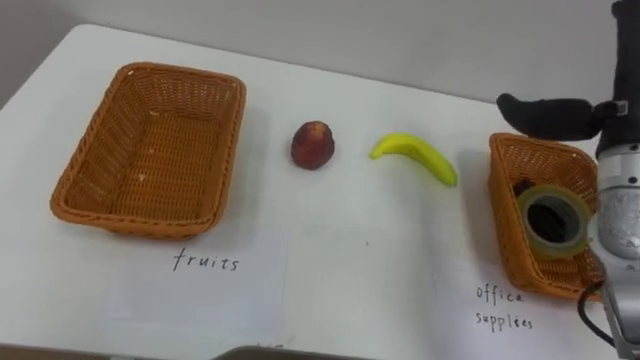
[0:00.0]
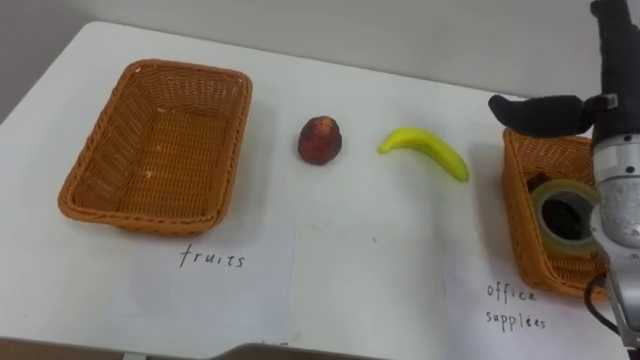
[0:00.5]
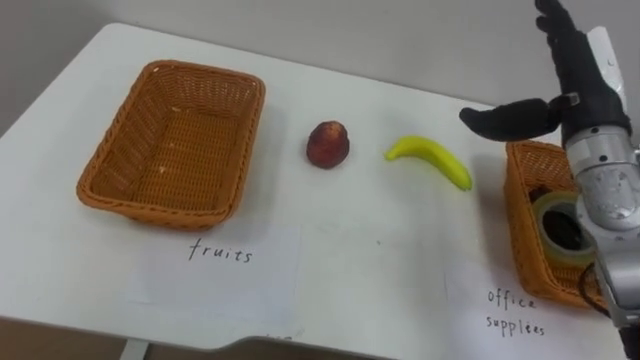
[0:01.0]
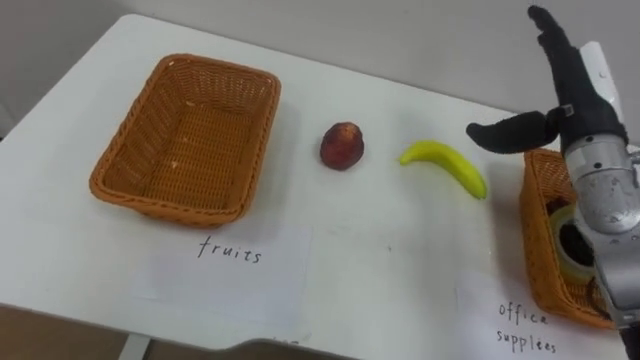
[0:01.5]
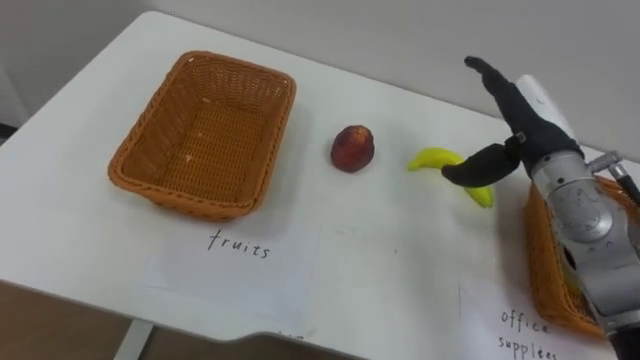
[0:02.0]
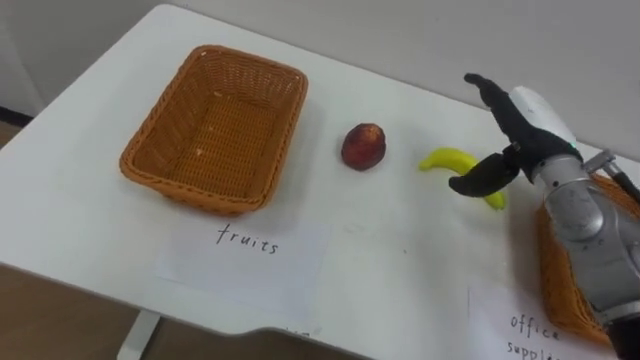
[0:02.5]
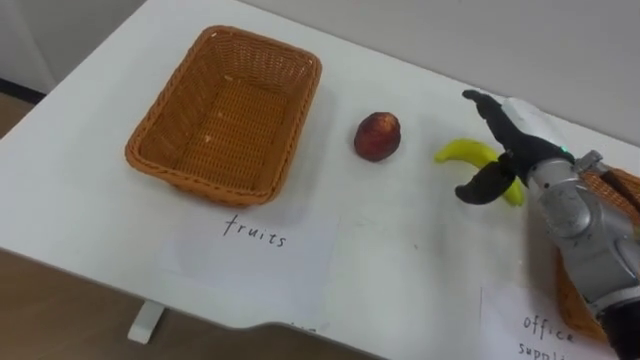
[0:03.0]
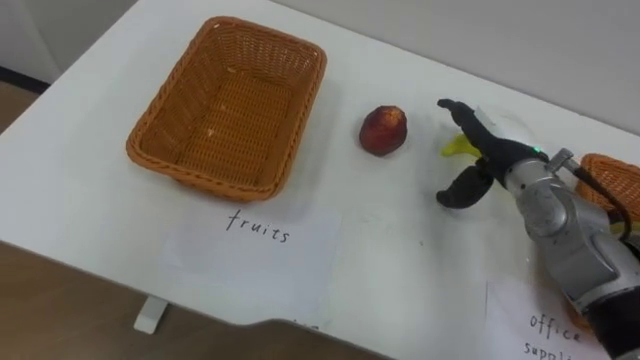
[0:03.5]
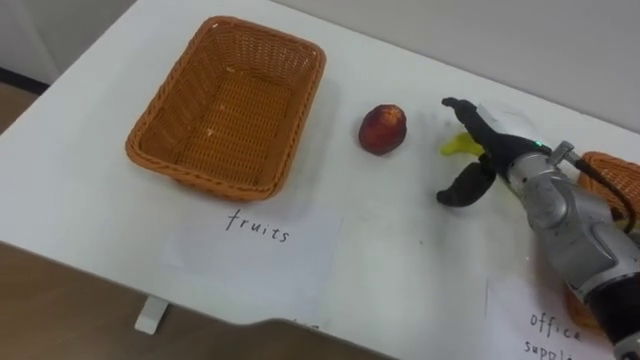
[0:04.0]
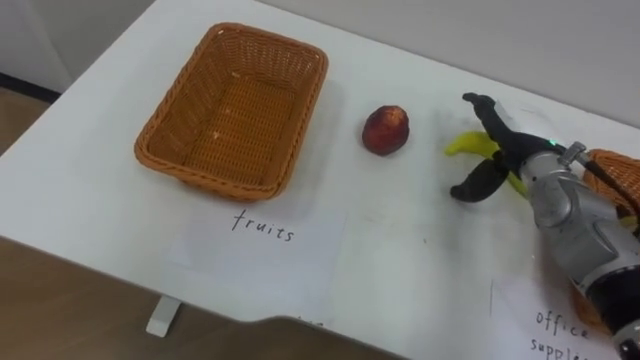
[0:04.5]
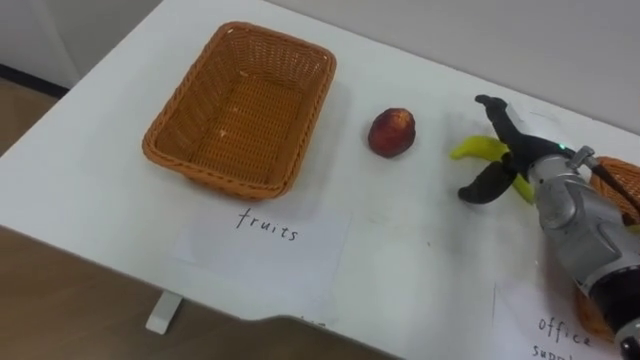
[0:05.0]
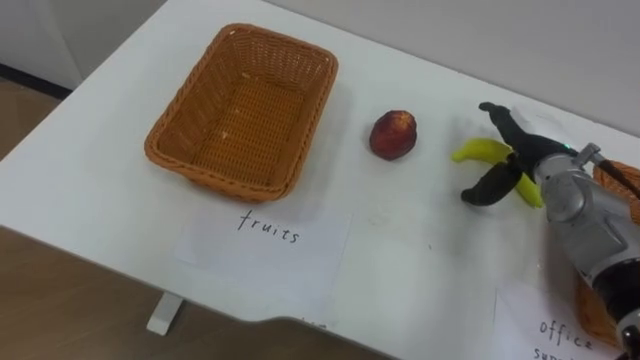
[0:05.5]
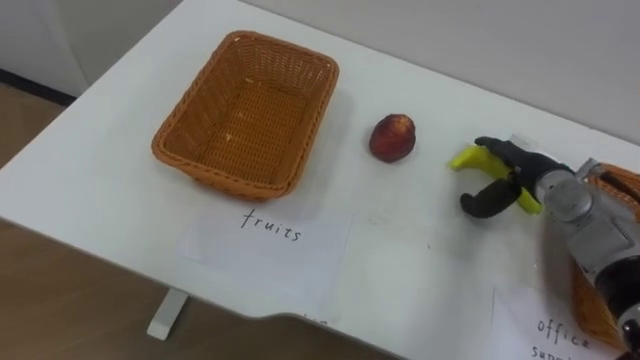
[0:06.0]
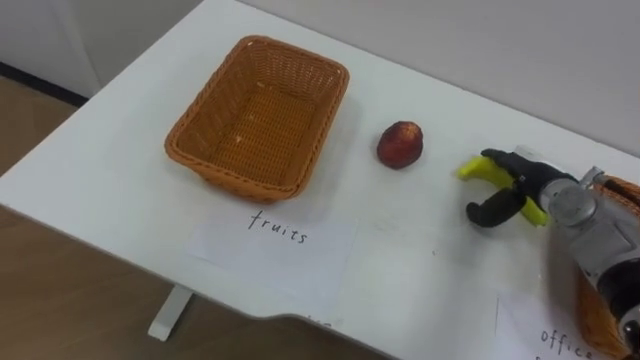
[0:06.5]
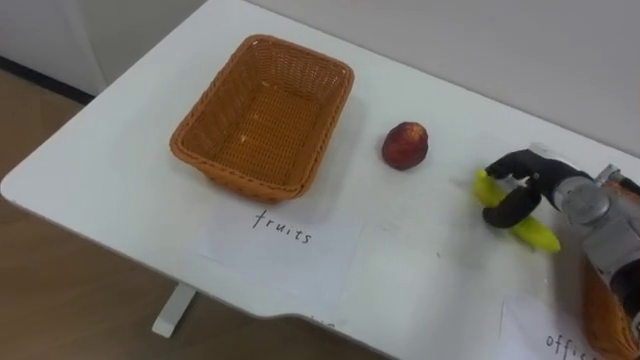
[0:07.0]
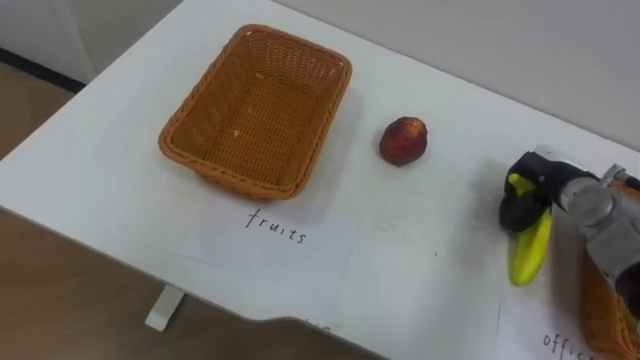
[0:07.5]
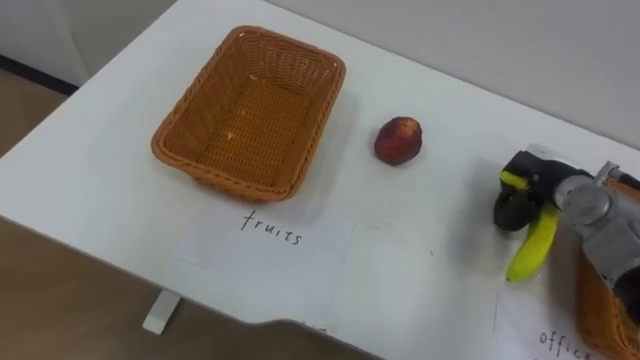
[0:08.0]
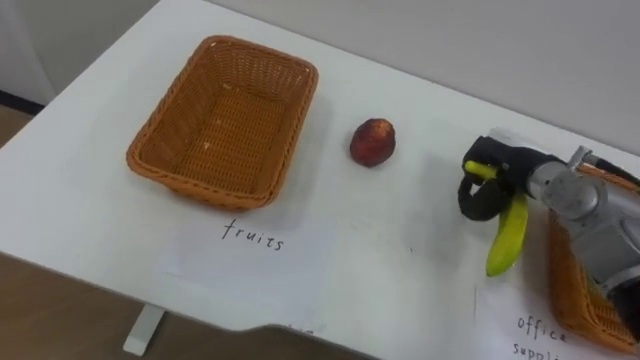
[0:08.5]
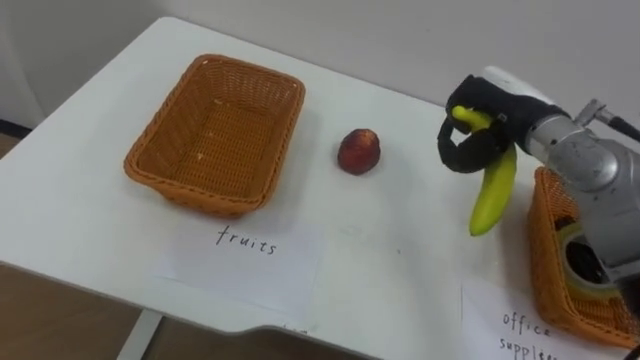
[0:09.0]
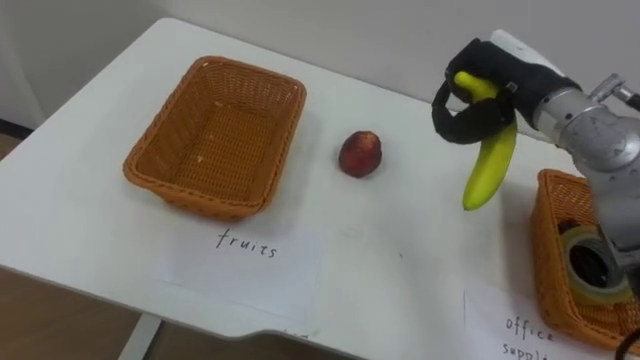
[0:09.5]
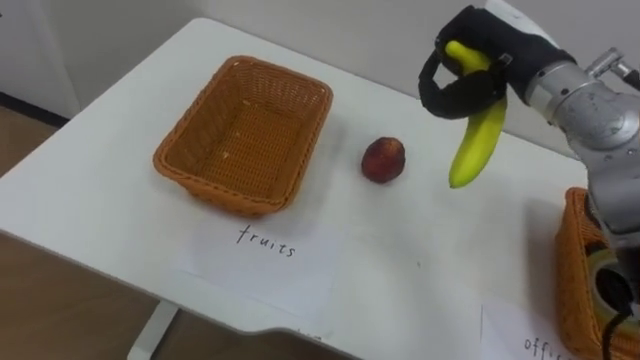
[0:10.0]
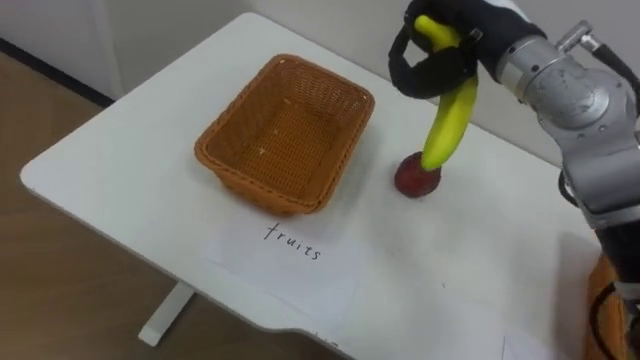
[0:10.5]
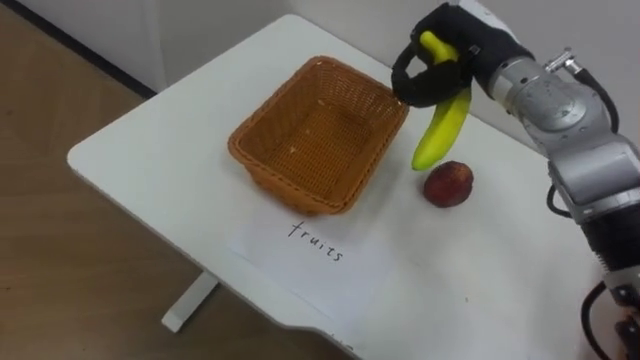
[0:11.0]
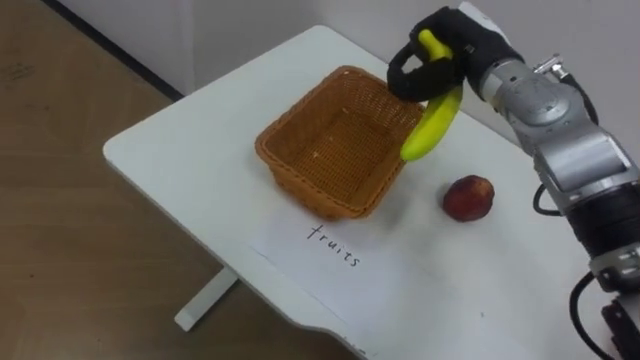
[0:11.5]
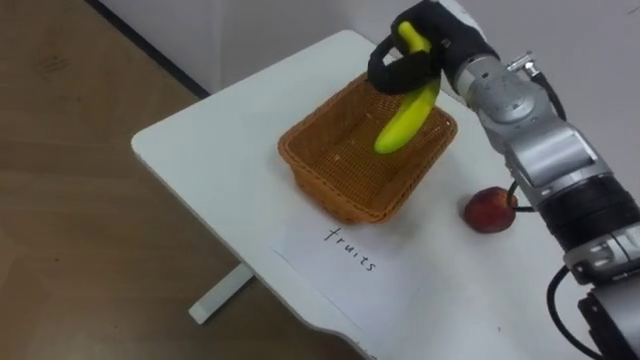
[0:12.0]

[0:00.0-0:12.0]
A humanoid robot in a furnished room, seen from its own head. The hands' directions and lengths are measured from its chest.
Task of the whole recording: Separate the items on the table and place them into the two baskets.
0:00.0 to 0:02.0: The right hand goes approximately 10 cm downward and to the left.
0:02.0 to 0:04.0: The right hand ends up about 5 cm from where it was.
0:04.0 to 0:06.0: The right hand travels to the right and downward by roughly 5 cm.
0:06.0 to 0:08.0: The right hand closes.
0:08.0 to 0:10.0: The right hand goes roughly 20 cm upward and to the left.
0:10.0 to 0:12.0: The right hand shifts about 5 cm to the left.

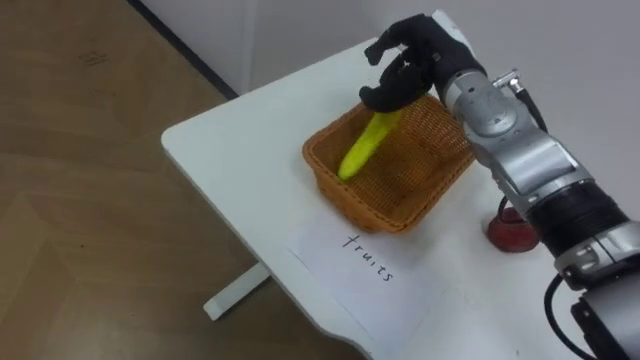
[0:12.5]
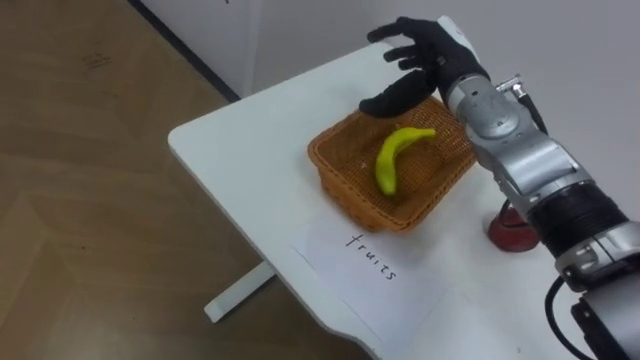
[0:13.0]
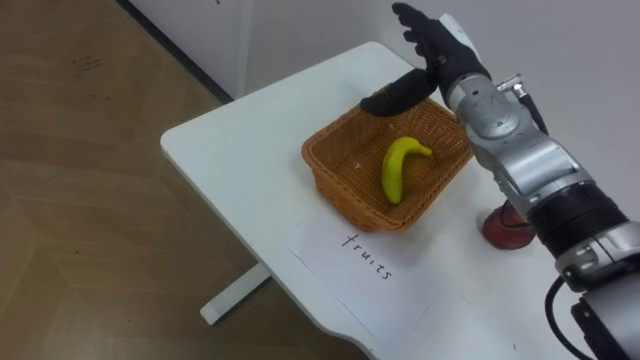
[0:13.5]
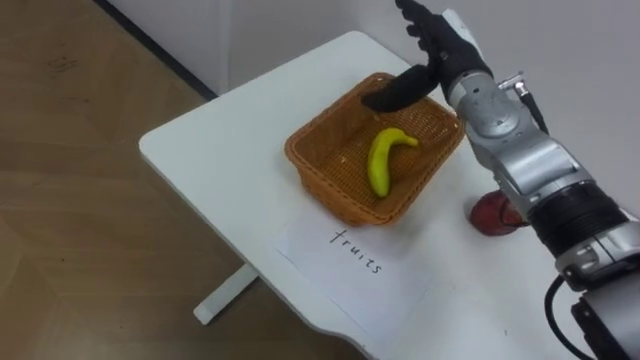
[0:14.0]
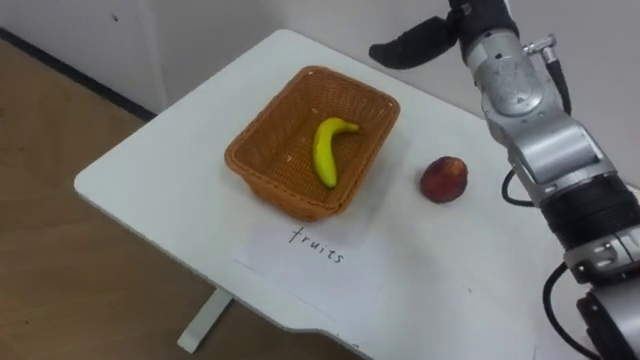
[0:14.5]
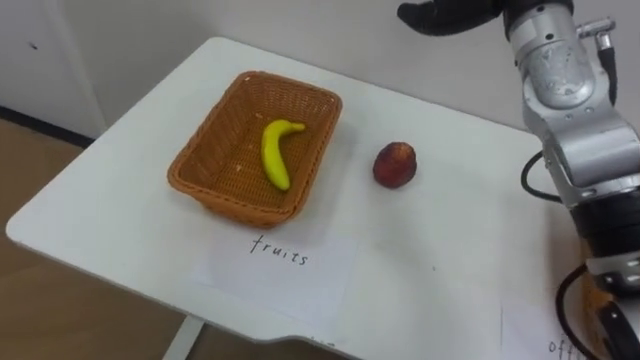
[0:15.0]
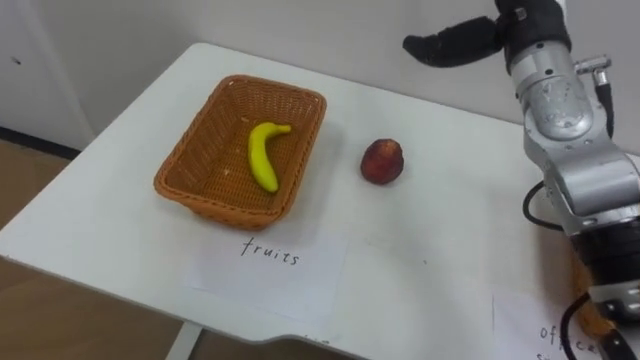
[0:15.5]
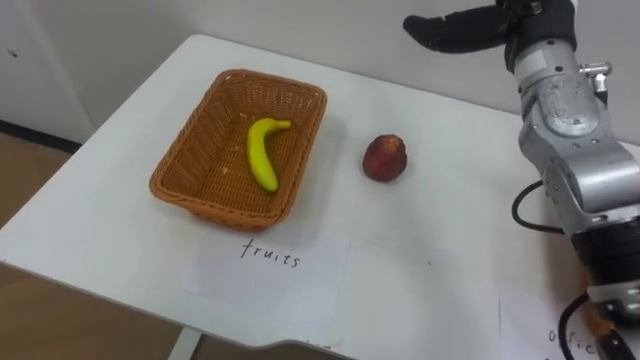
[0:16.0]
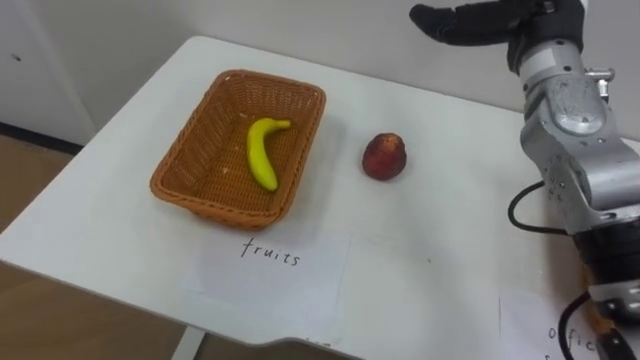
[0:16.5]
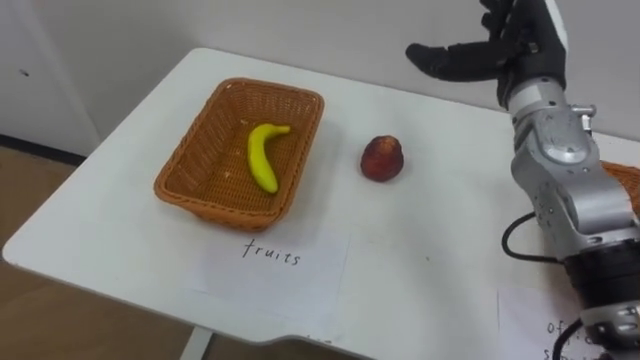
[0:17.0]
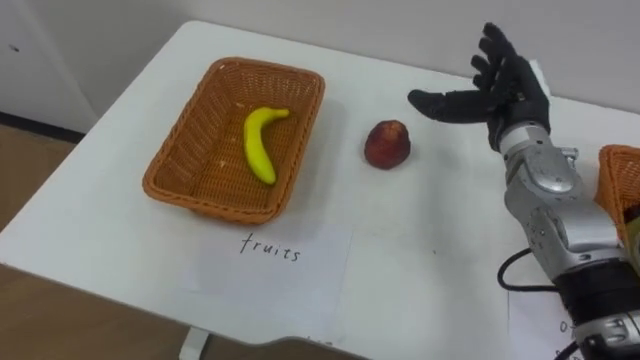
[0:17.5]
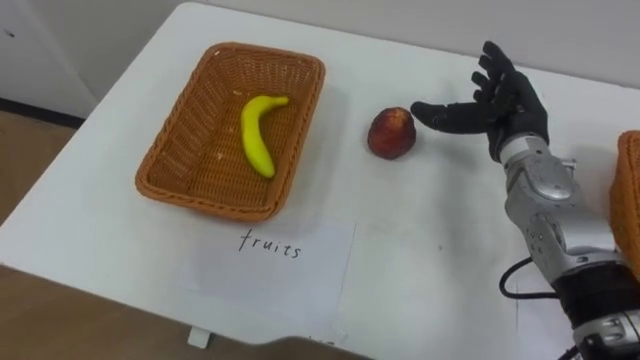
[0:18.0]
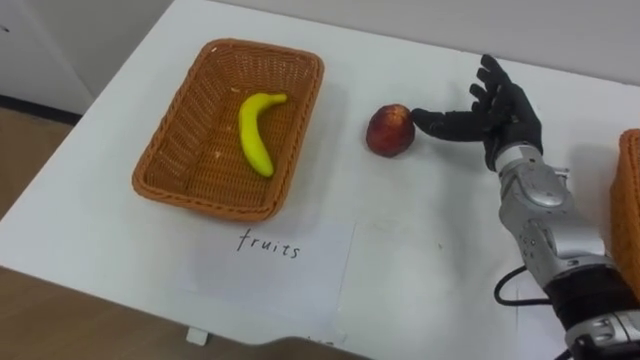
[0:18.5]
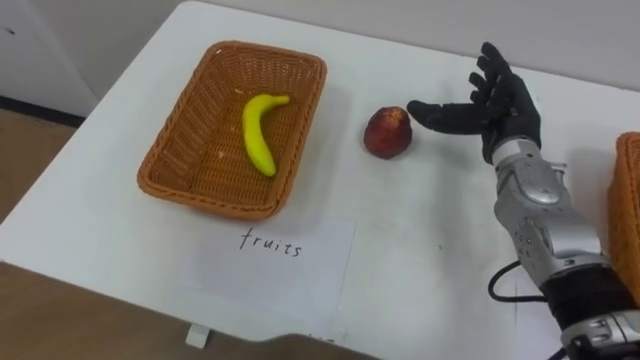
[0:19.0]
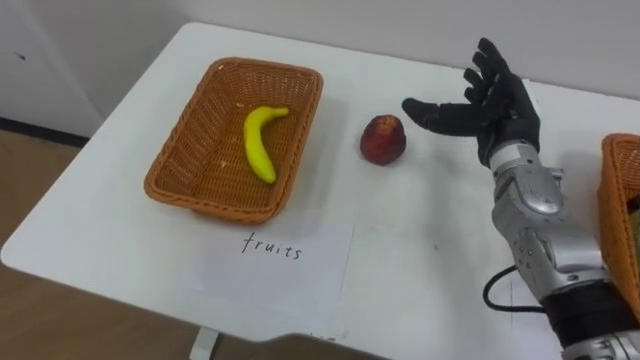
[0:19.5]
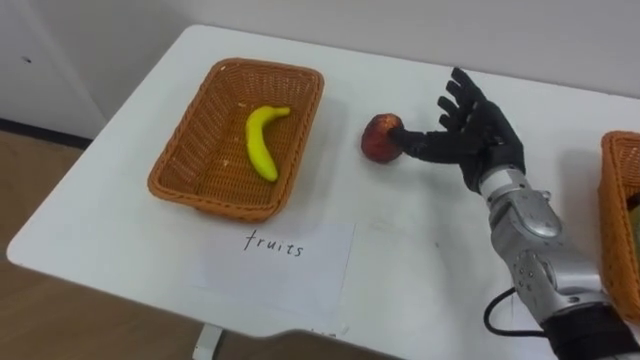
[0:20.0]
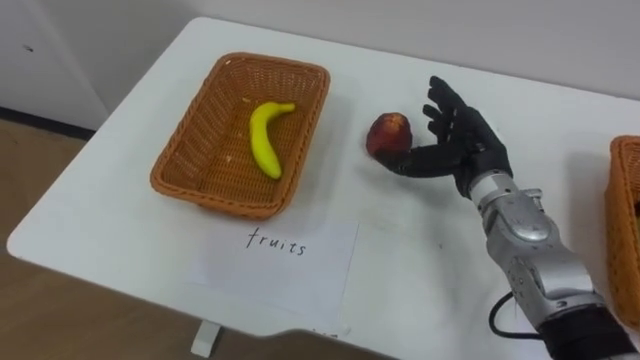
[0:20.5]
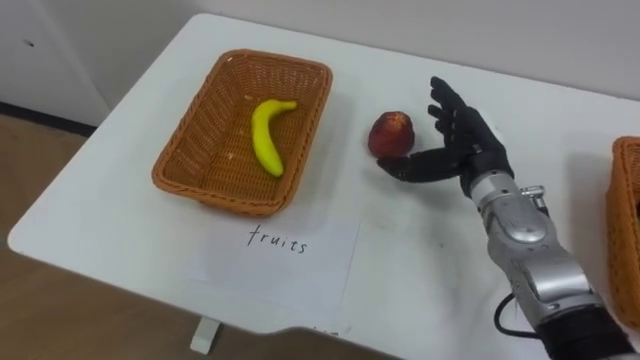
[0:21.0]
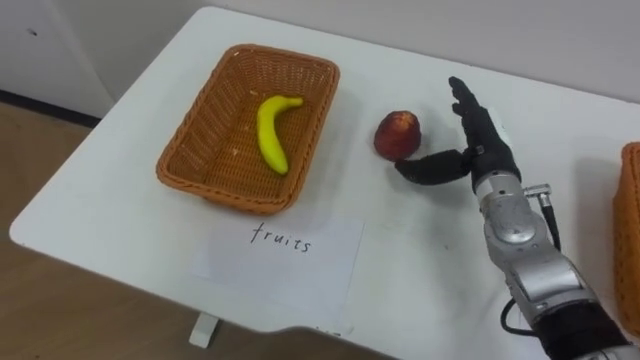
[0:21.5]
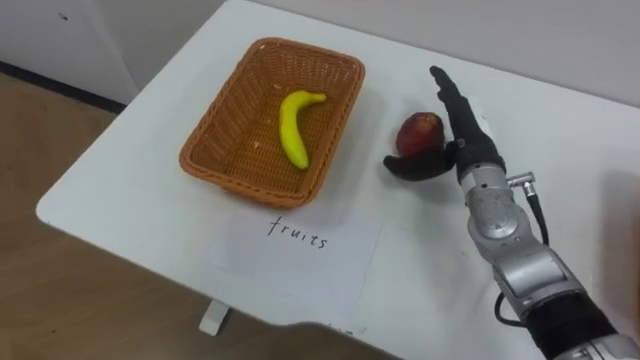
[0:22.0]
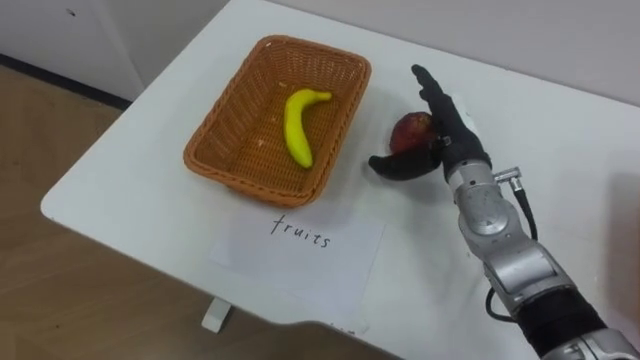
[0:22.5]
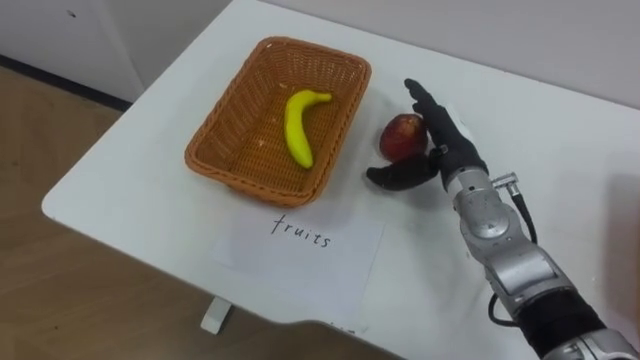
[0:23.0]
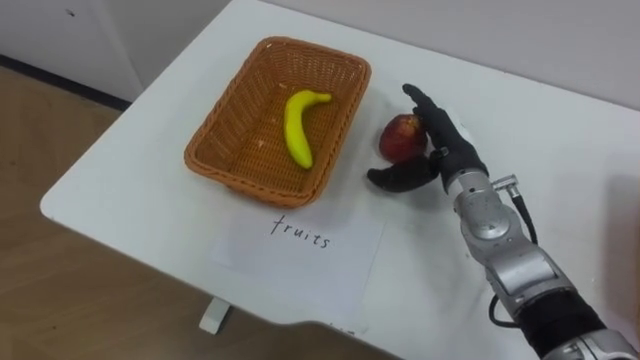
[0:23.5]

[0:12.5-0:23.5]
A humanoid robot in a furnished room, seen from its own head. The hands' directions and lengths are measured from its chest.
Task of the whole recording: Separate the items on the table and place them into the two baskets.
0:16.0 to 0:18.0: The right hand shifts approximately 15 cm downward.
